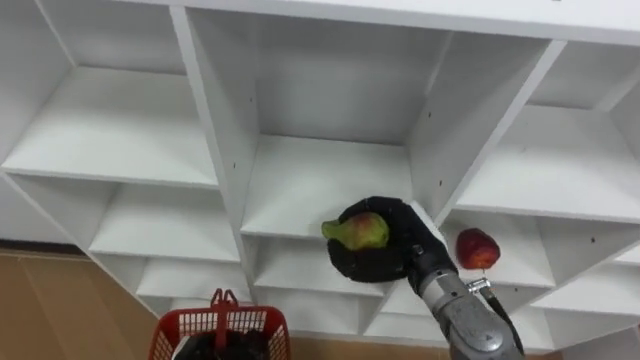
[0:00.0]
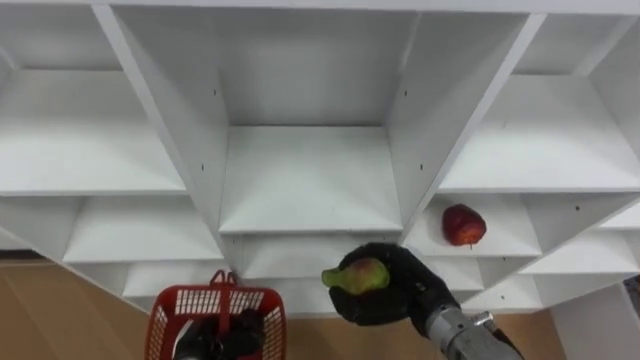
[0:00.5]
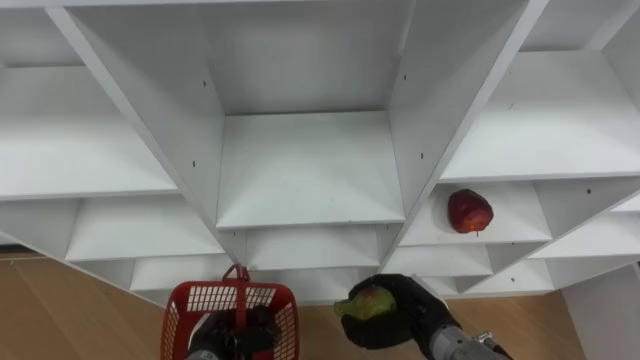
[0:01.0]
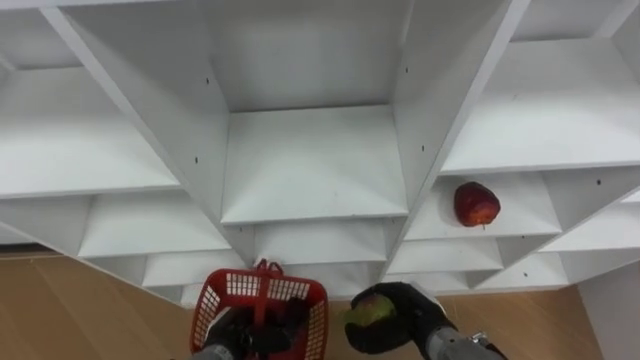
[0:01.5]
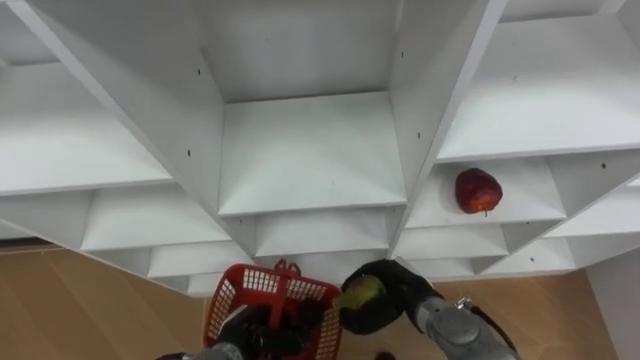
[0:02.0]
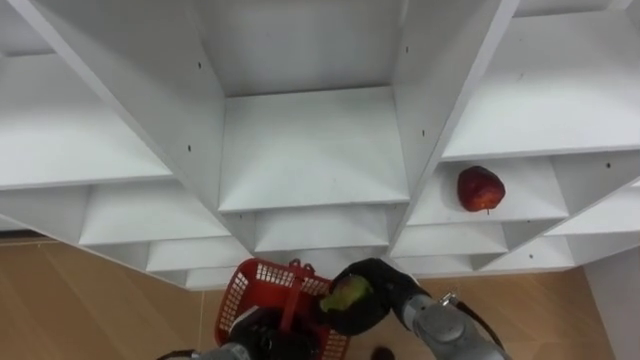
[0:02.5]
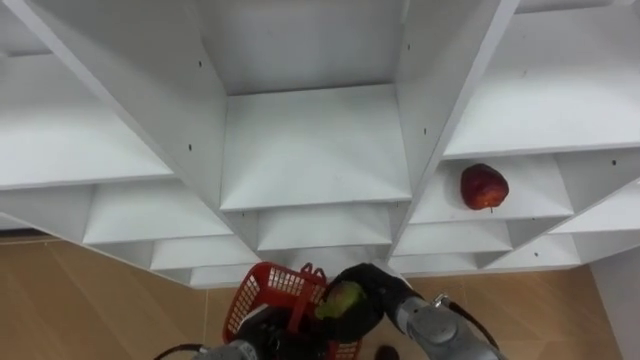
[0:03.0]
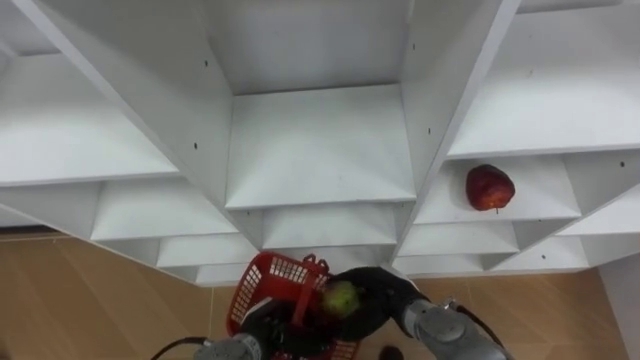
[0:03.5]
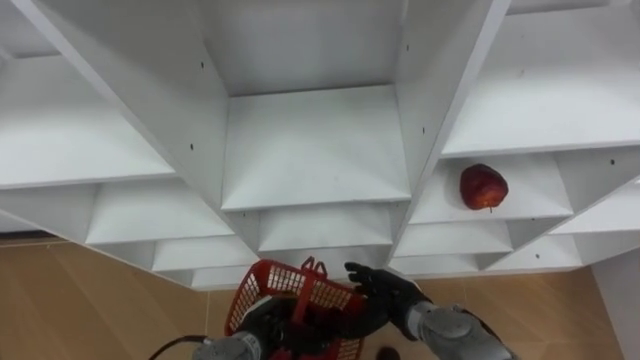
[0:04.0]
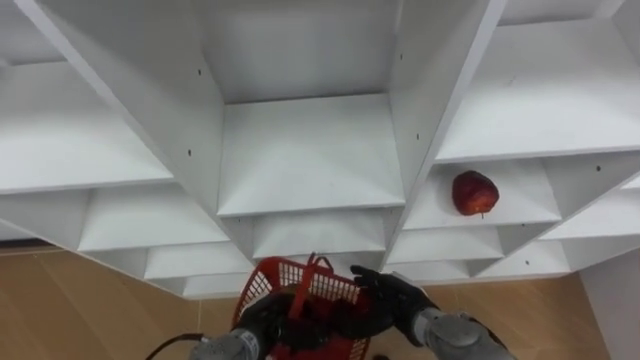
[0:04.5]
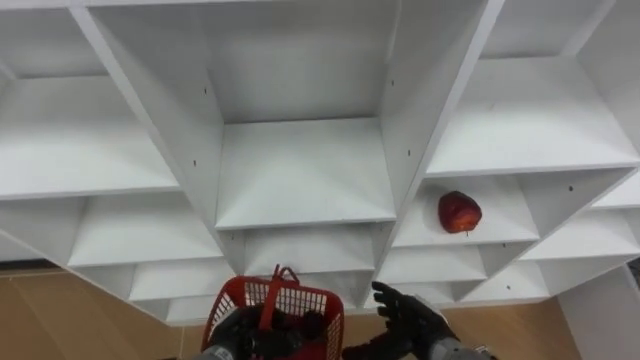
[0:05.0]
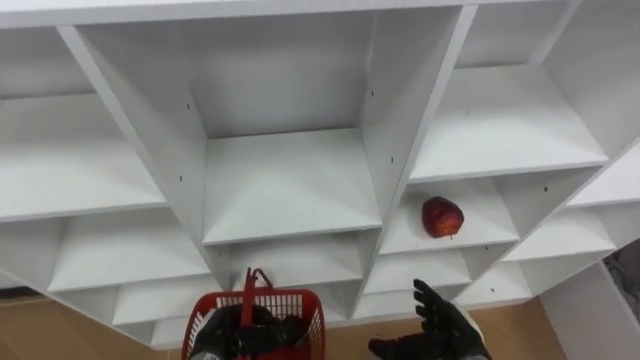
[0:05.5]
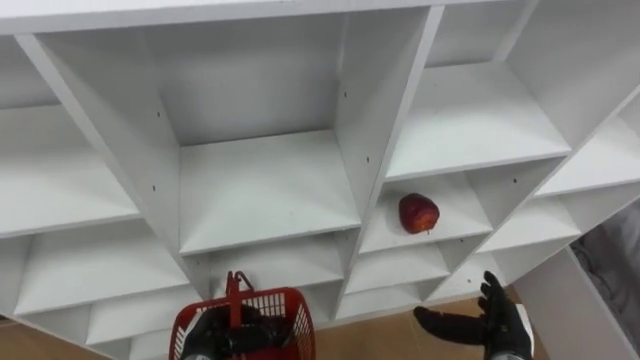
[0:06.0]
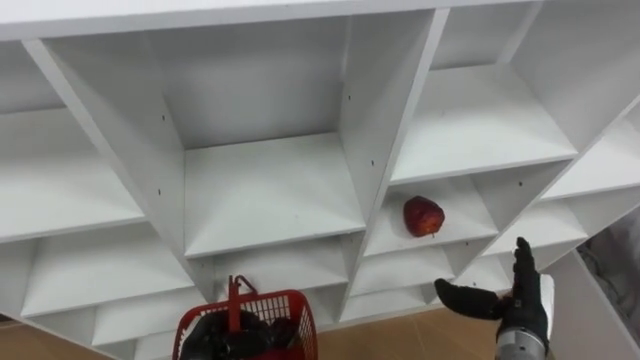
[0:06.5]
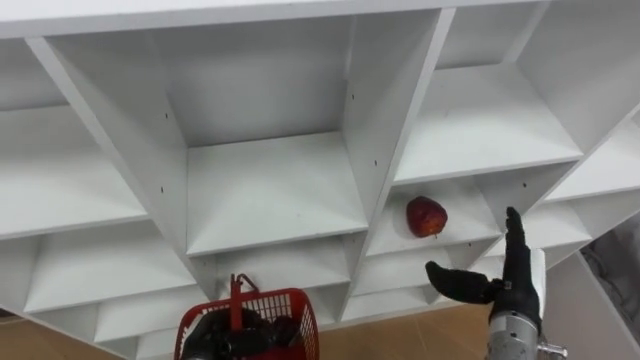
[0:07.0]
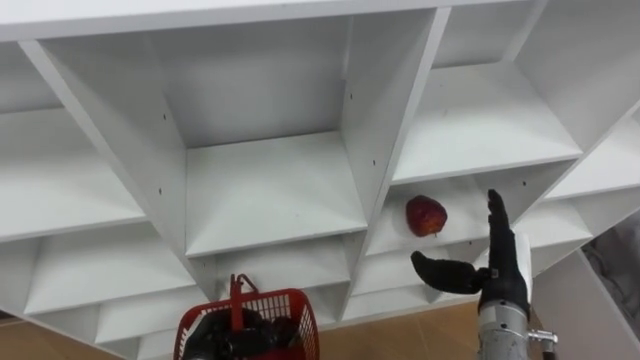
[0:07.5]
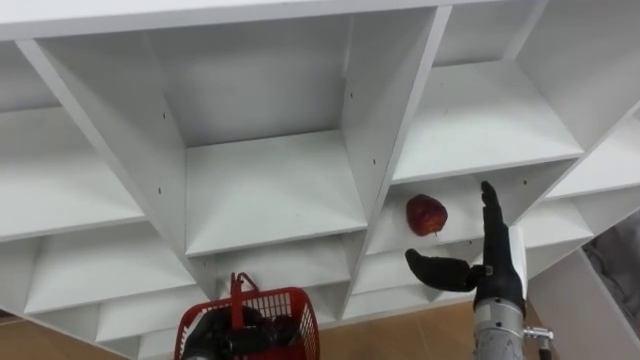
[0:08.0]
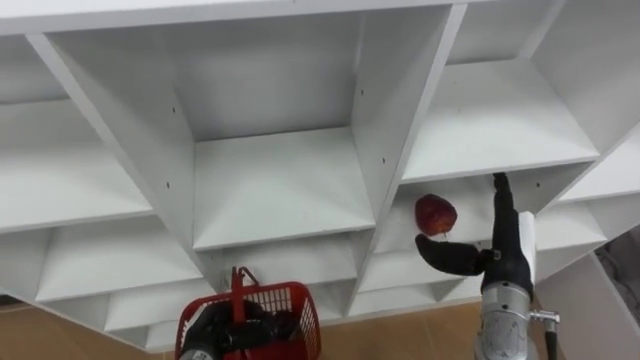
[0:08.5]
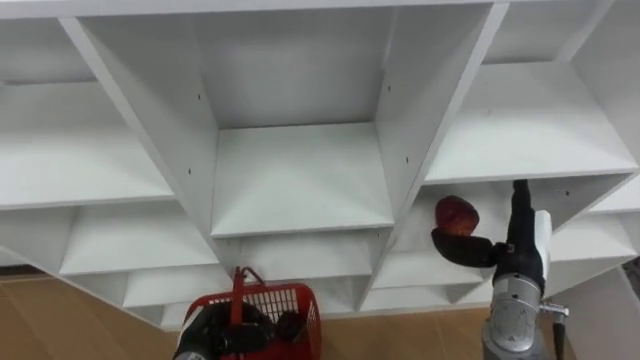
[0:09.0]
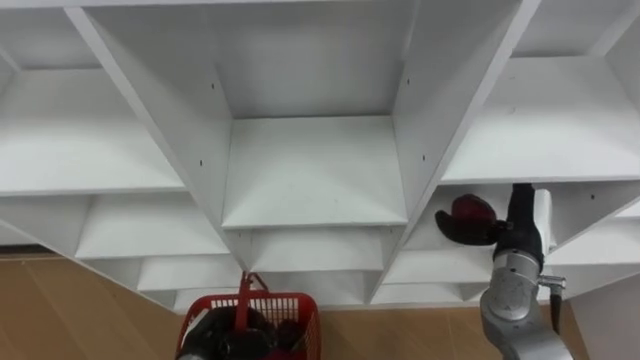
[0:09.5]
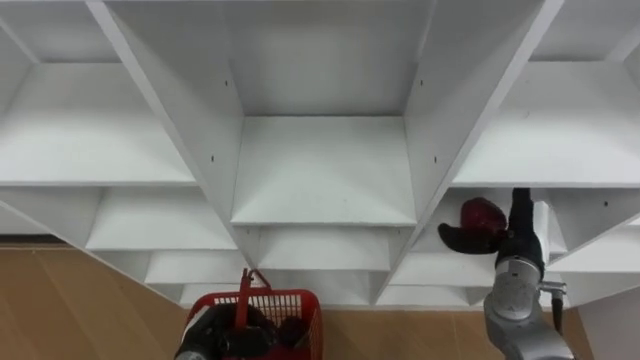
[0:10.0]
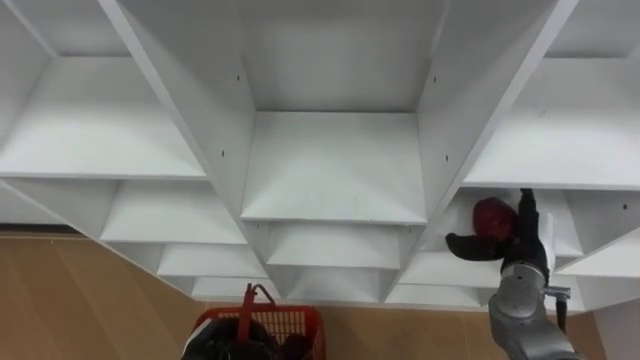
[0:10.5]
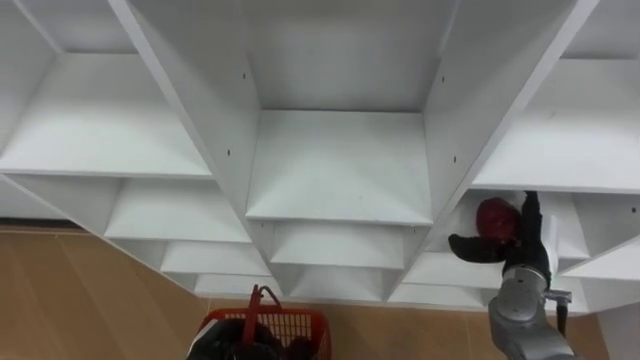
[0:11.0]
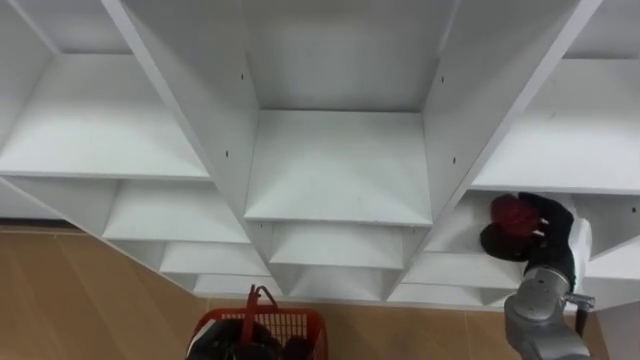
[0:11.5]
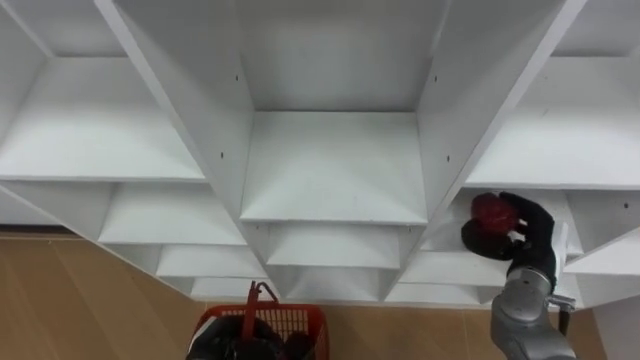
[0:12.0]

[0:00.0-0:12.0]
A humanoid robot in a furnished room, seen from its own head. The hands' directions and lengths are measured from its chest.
Task of the whole recording: Hold the basket and collect the fruits from 3 different cells of the closet into it.
0:00.0 to 0:02.0: The right hand goes approximately 10 cm downward. Meanwhile the left hand moves to the right, about 5 cm.
0:02.0 to 0:04.0: The right hand opens its fingers.
0:04.0 to 0:06.0: The left hand shifts approximately 10 cm to the left, while the right hand moves to the right, approximately 15 cm.
0:06.0 to 0:08.0: The right hand shifts approximately 10 cm upward and forward.
0:08.0 to 0:10.0: The right hand shifts roughly 5 cm forward.
0:10.0 to 0:12.0: The right hand closes.

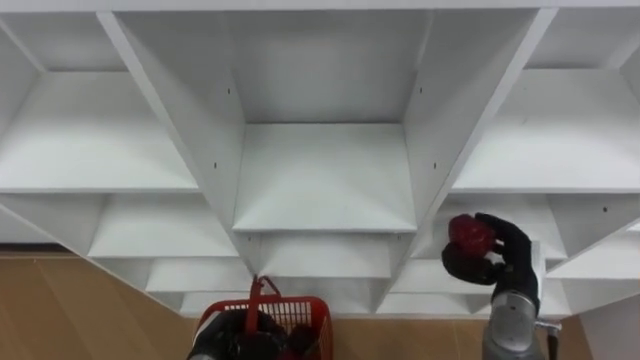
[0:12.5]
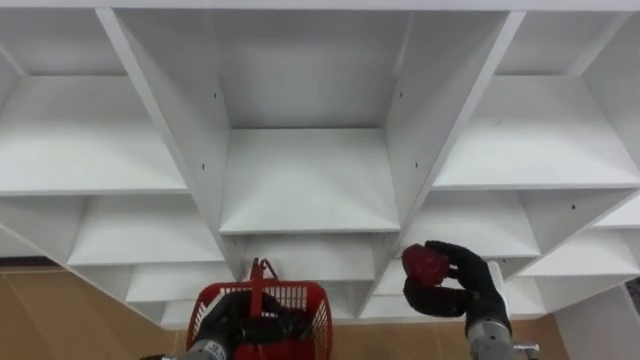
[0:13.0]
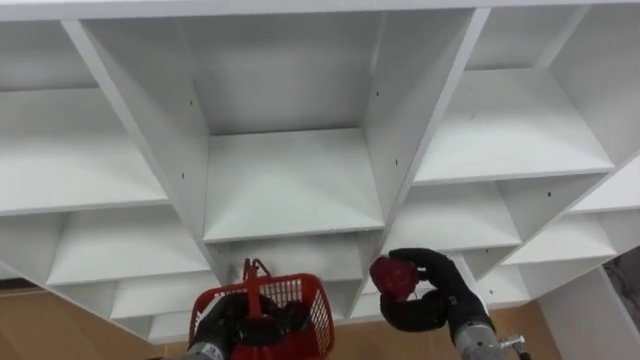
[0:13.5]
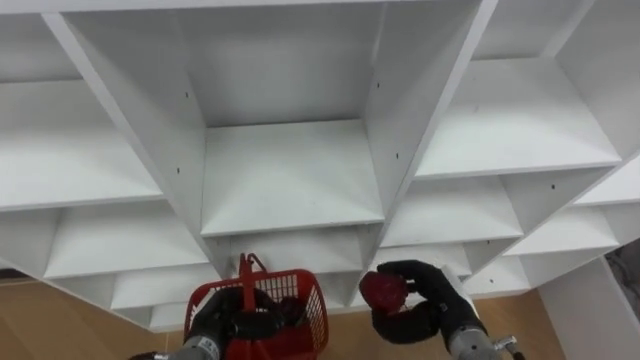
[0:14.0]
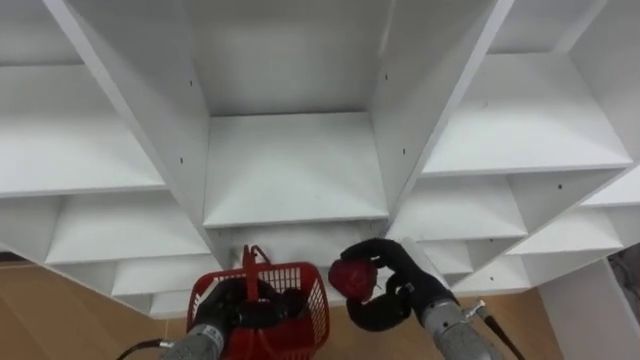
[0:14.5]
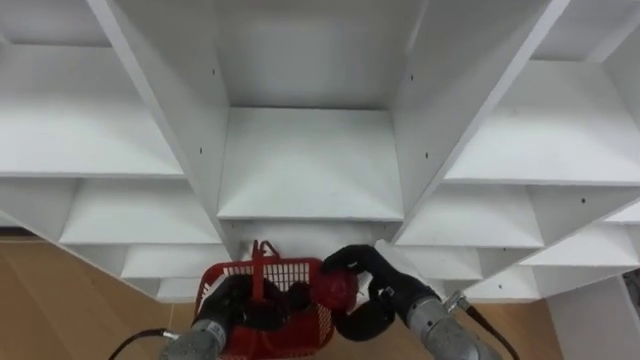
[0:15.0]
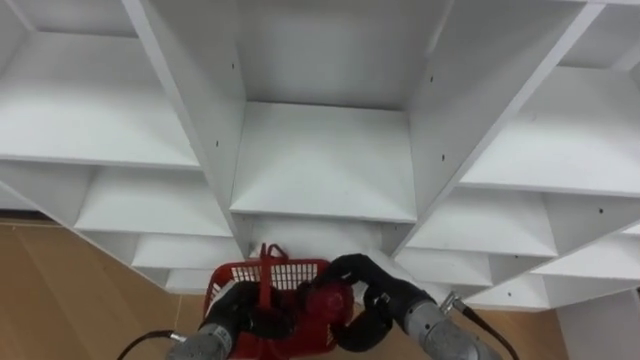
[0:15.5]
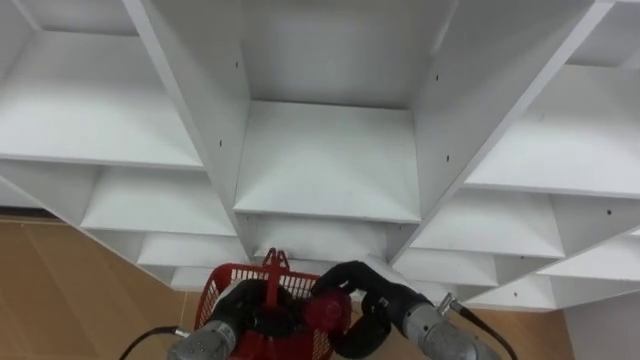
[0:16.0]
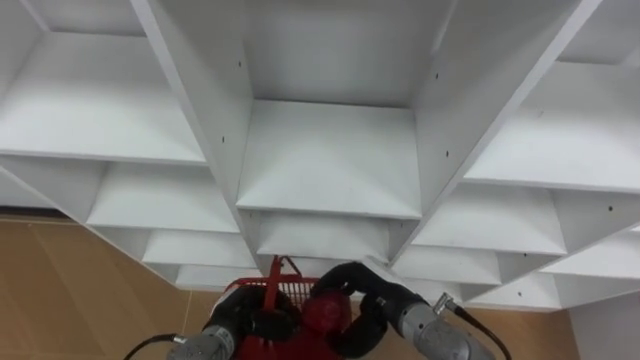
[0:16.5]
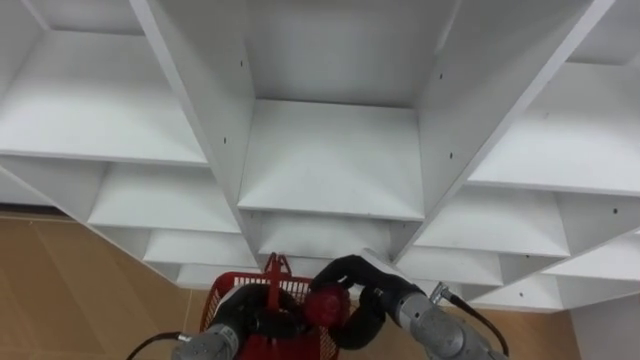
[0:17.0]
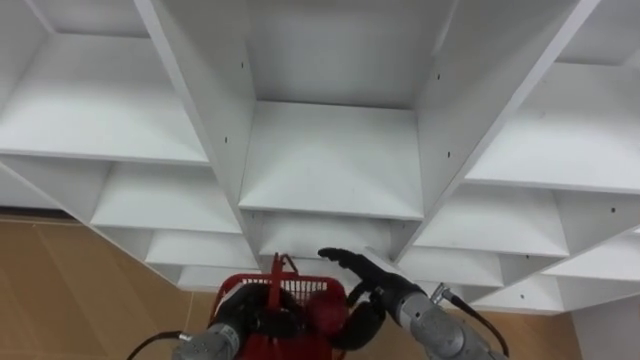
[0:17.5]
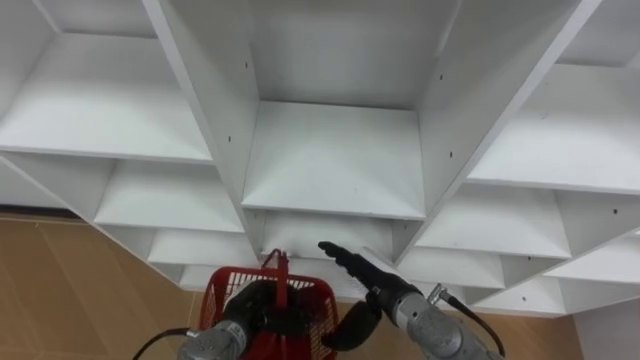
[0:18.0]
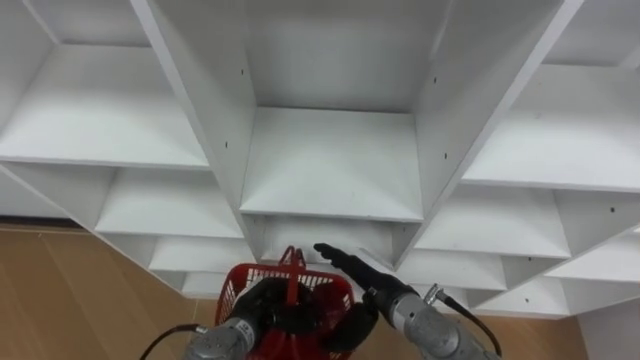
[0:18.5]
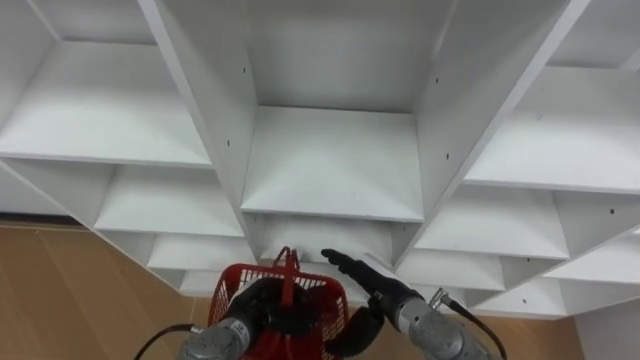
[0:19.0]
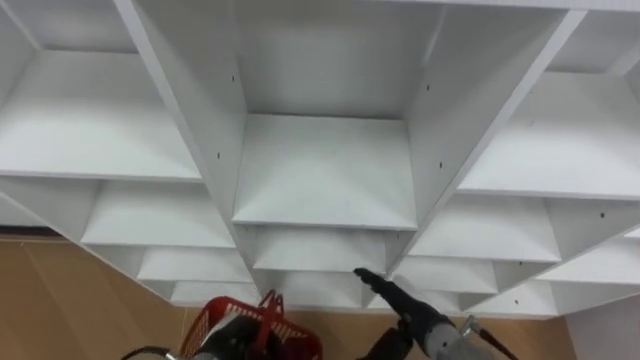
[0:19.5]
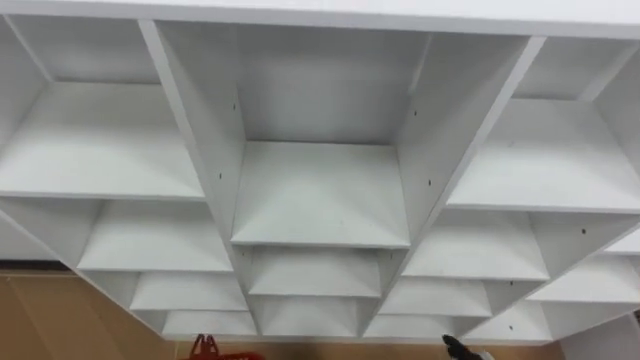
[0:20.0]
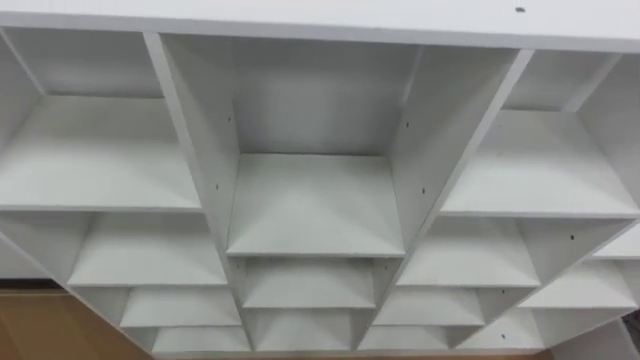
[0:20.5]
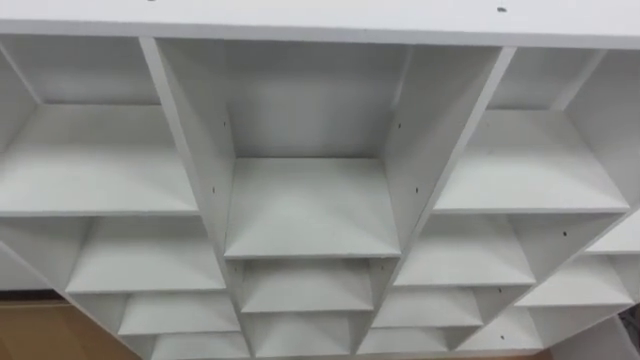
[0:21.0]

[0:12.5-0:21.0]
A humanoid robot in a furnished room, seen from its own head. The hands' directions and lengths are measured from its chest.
Task of the whole recording: Hold the basket and collect the fruits from 3 different cells of the closet into it.
0:12.5 to 0:14.5: The right hand moves to the left, some 15 cm.
0:14.5 to 0:16.5: The right hand shifts by some 5 cm.
0:16.5 to 0:19.0: The right hand opens.
